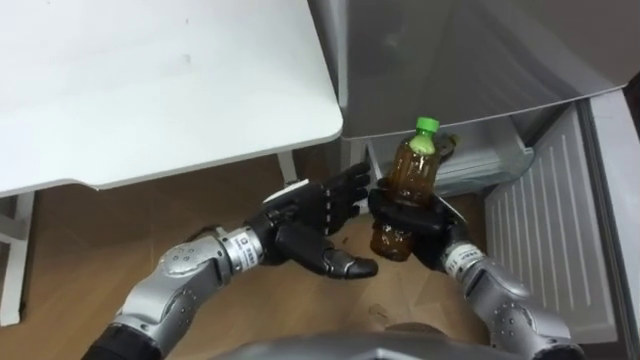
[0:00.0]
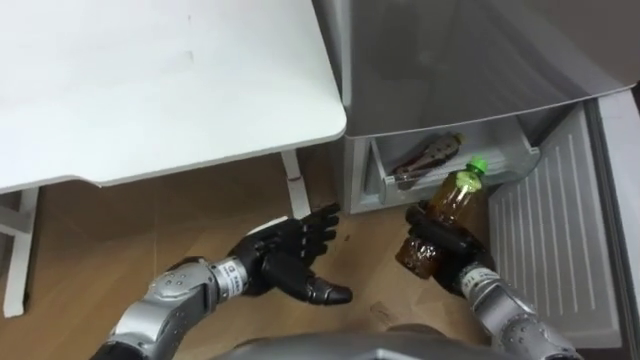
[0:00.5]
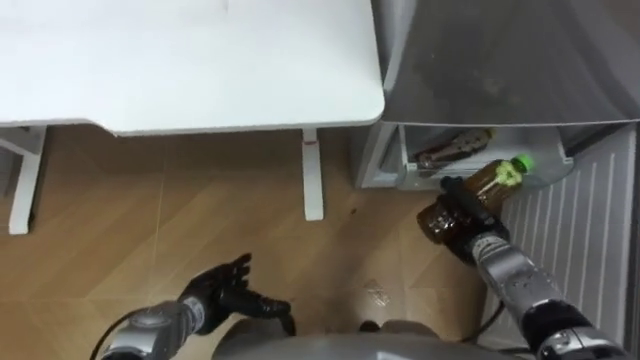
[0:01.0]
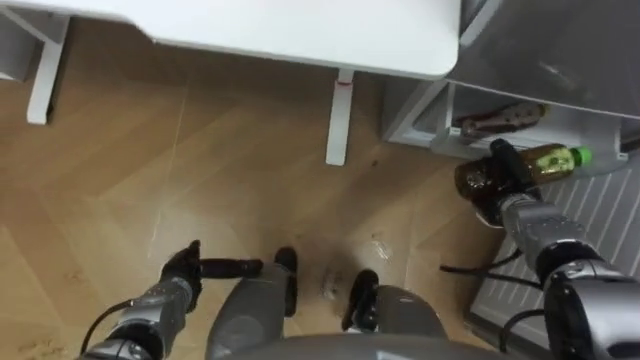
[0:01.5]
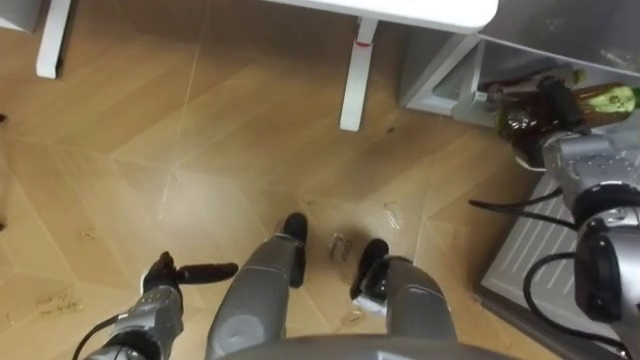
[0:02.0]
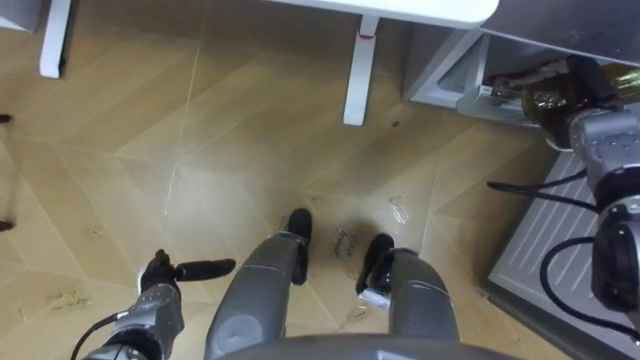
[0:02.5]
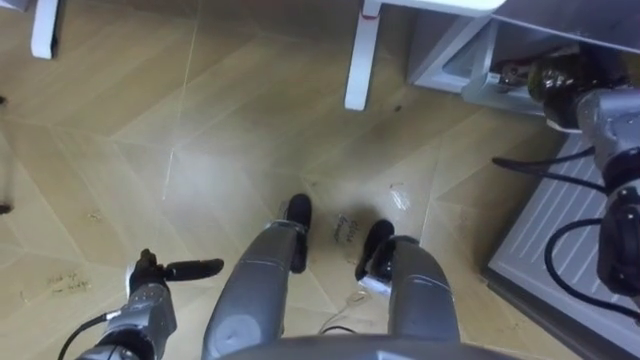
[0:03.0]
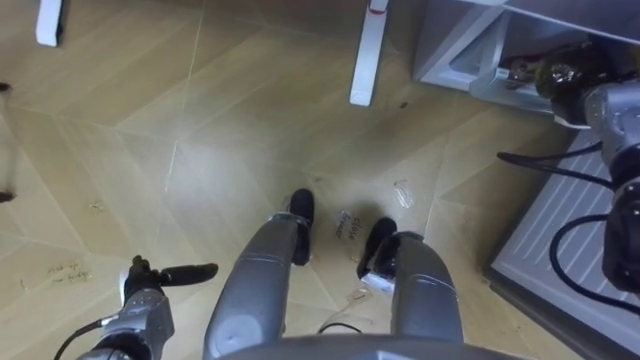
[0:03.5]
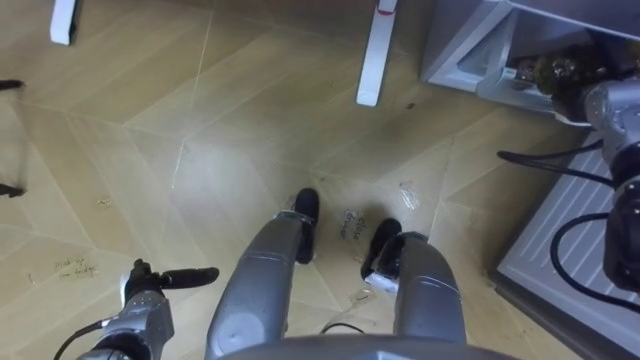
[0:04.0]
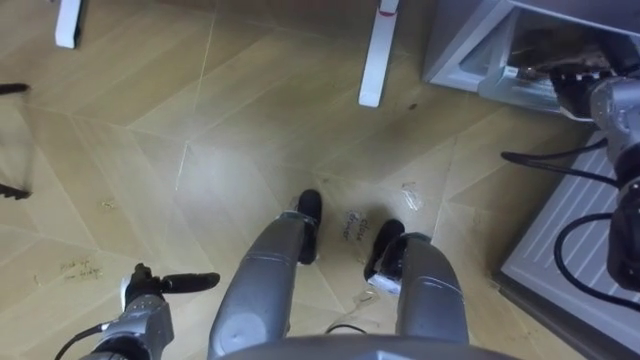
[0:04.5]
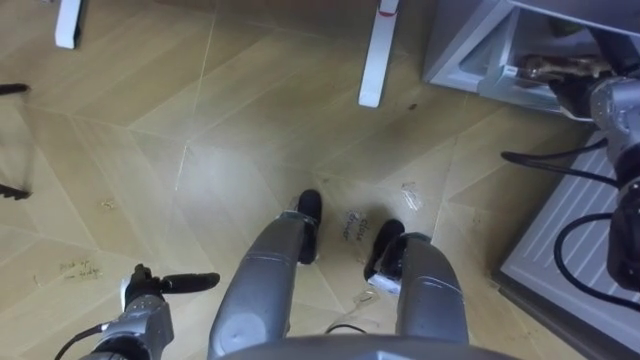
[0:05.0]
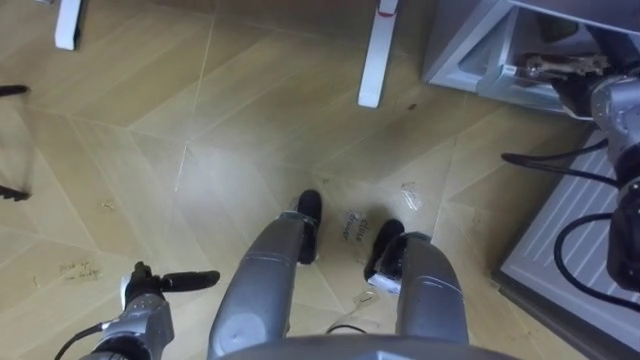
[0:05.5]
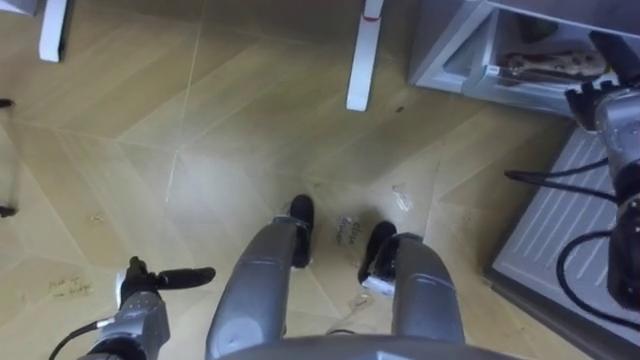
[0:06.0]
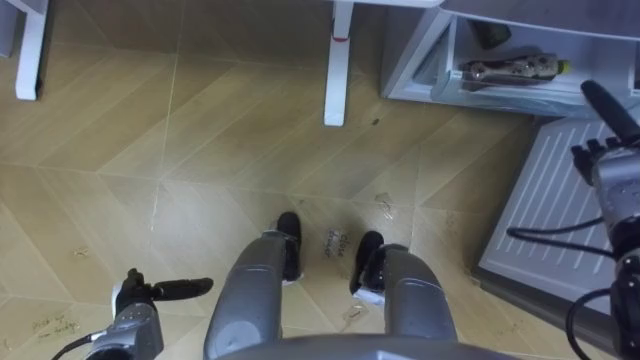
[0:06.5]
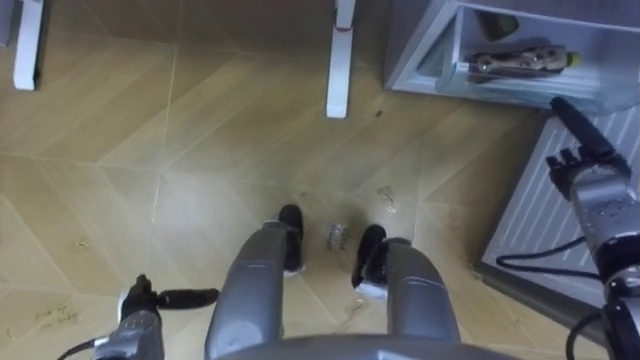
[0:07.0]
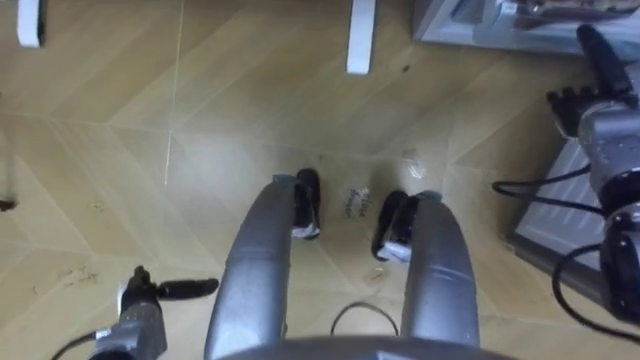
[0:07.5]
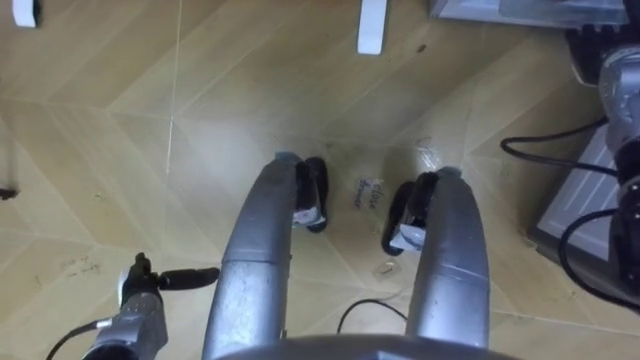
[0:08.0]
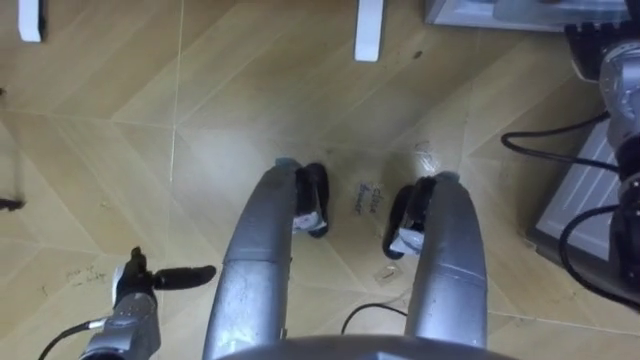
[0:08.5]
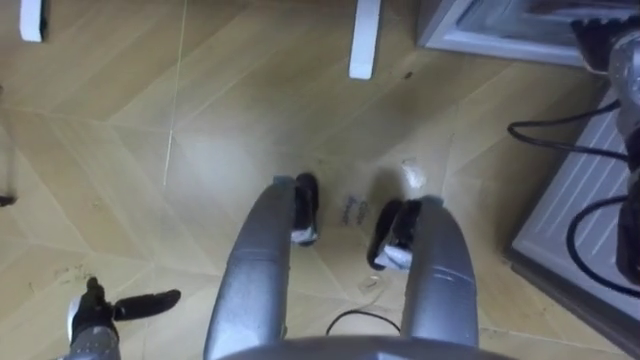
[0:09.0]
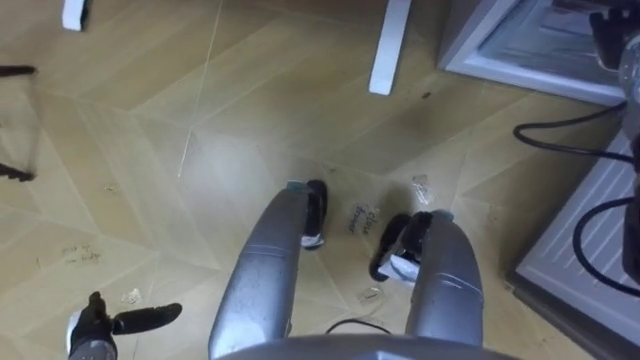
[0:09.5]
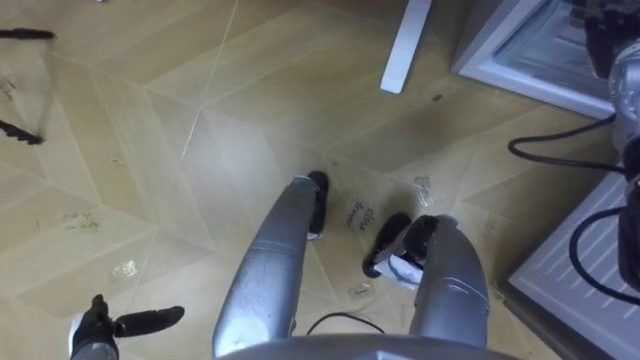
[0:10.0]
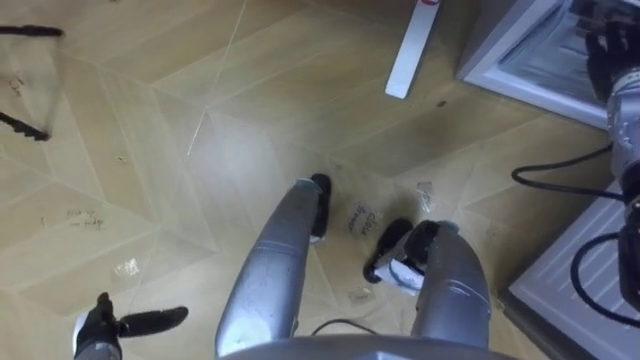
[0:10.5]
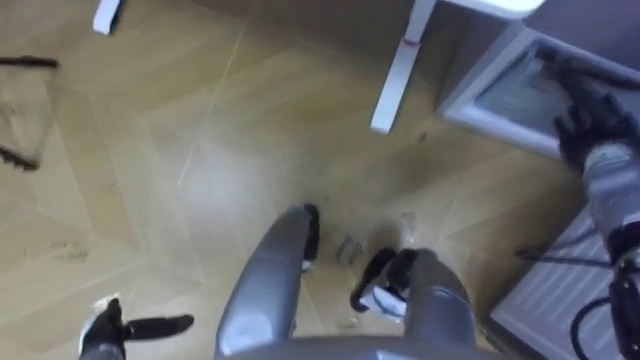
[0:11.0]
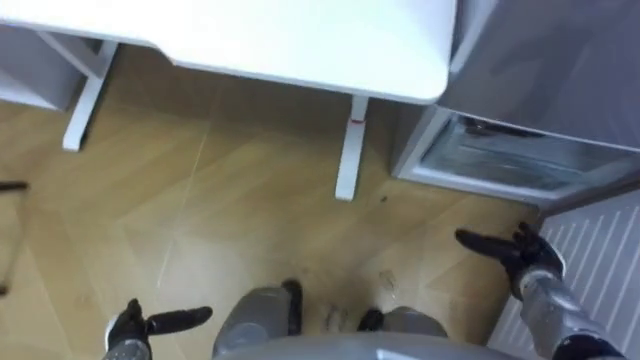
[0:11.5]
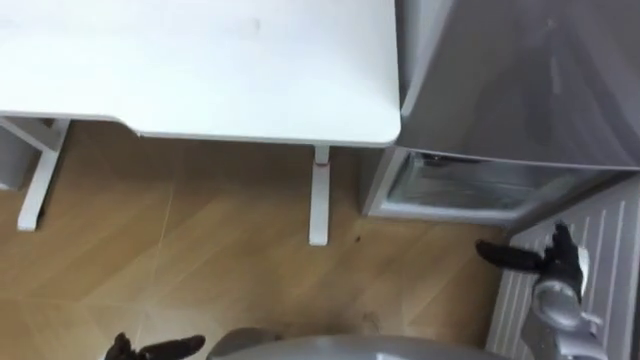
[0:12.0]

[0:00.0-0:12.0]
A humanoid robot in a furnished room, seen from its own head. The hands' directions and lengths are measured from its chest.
Task of the whole recording: Place the drink on the table on the bottom shelf of the refrigerator, then close the drawer and the refrigerator door.
0:00.0 to 0:02.0: The right hand heads to the right and forward, covering some 20 cm. The left hand goes about 25 cm to the left and downward.
0:02.0 to 0:04.0: The right hand goes approximately 5 cm upward.
0:04.0 to 0:06.0: The right hand opens its fingers.
0:08.0 to 0:10.0: The left hand travels backward by approximately 5 cm.
0:10.0 to 0:12.0: The right hand travels backward and downward by some 30 cm.

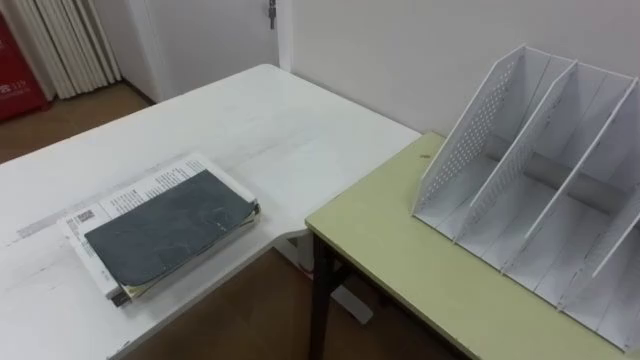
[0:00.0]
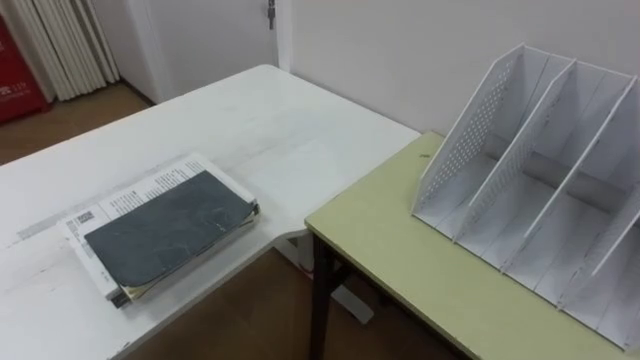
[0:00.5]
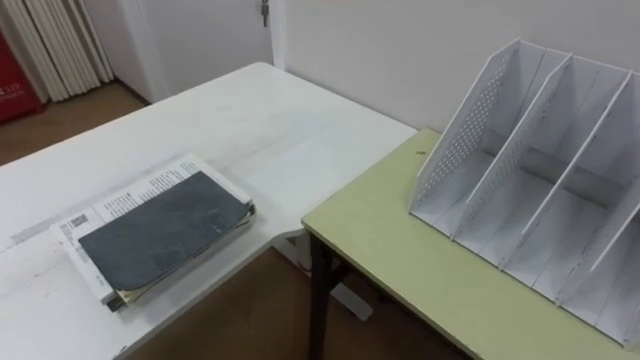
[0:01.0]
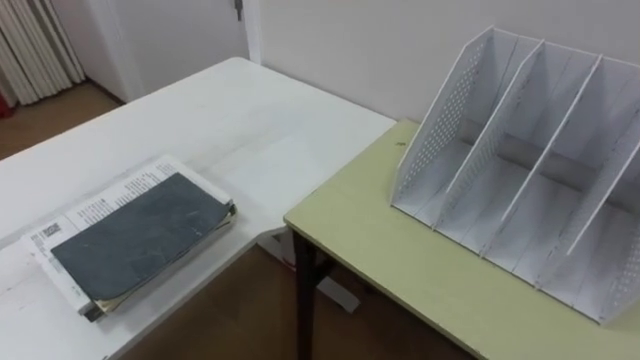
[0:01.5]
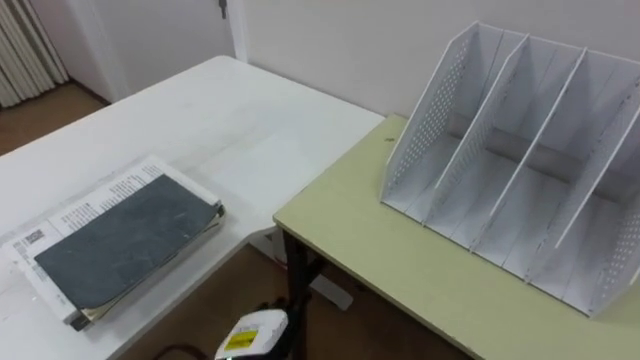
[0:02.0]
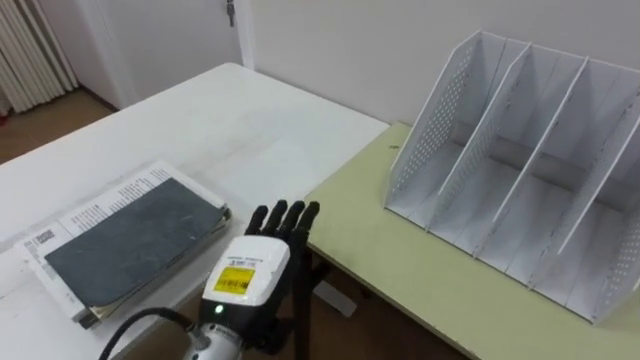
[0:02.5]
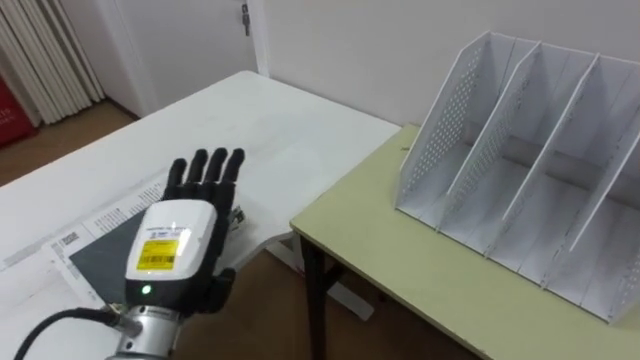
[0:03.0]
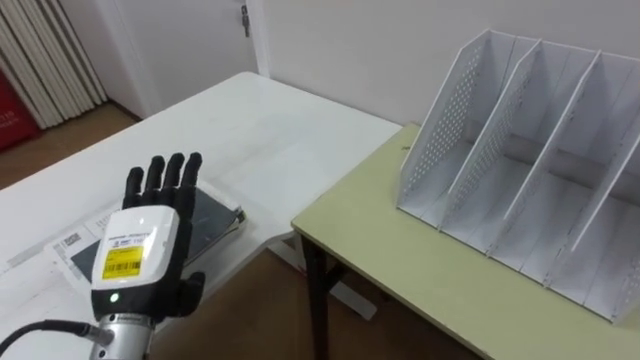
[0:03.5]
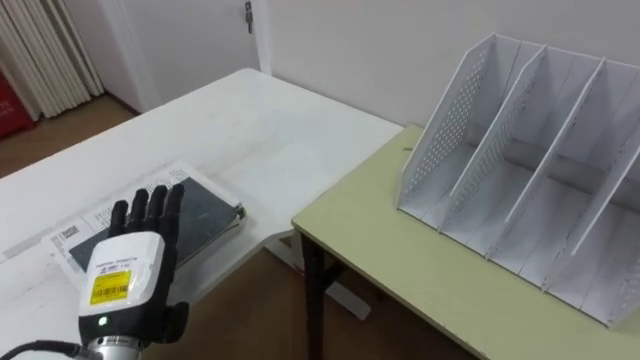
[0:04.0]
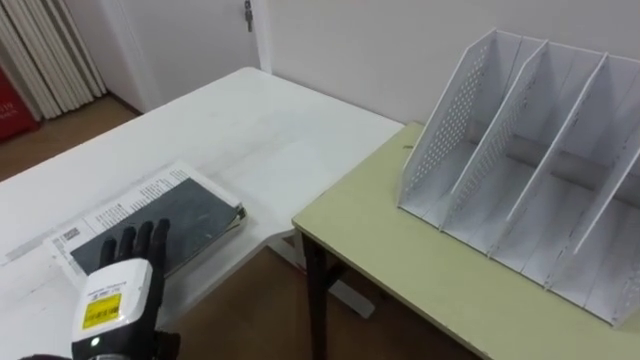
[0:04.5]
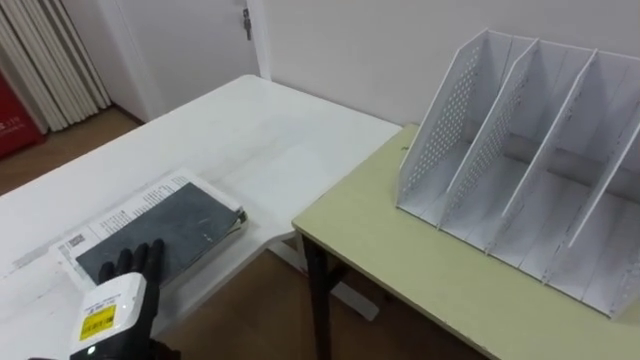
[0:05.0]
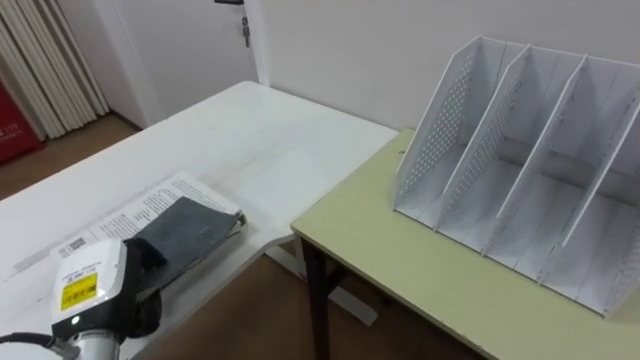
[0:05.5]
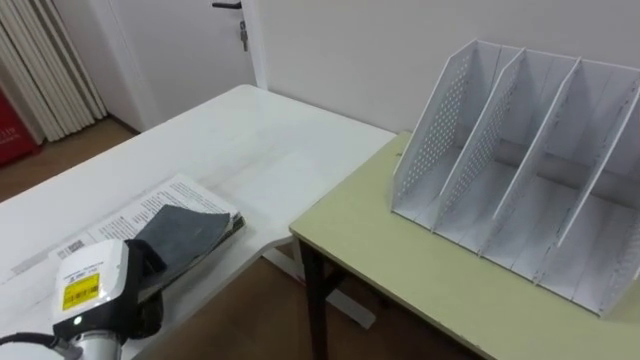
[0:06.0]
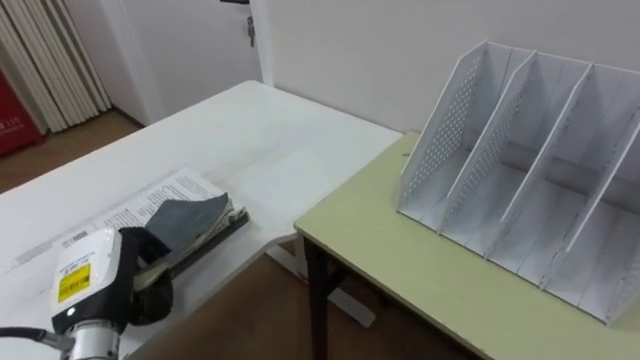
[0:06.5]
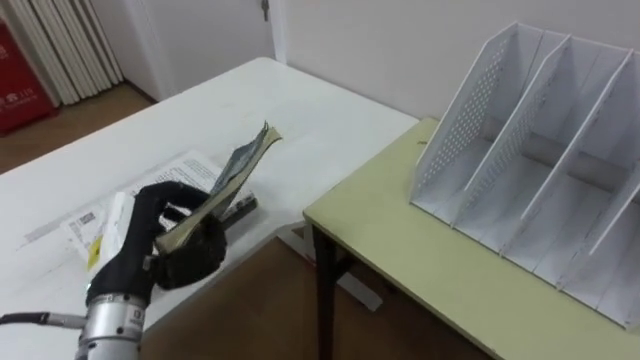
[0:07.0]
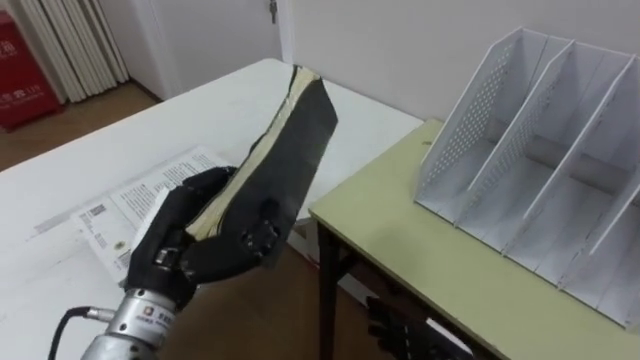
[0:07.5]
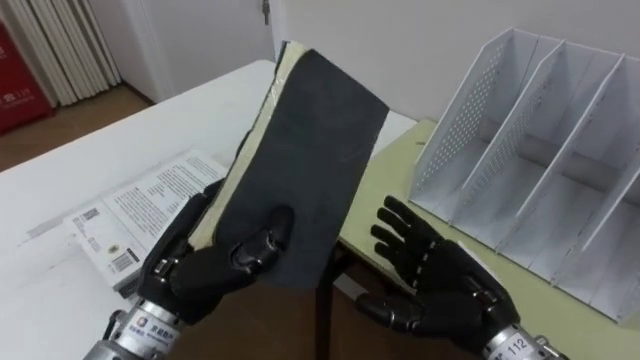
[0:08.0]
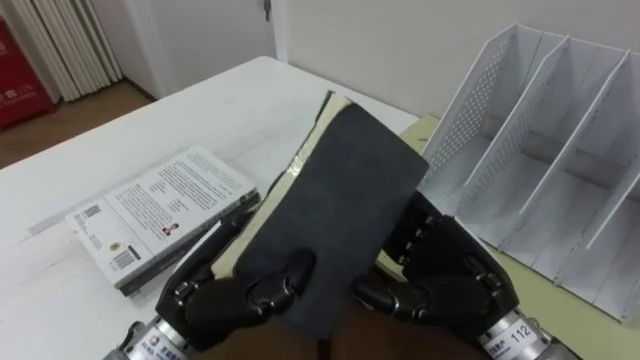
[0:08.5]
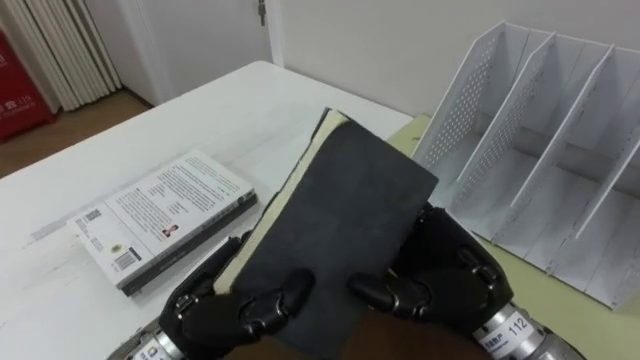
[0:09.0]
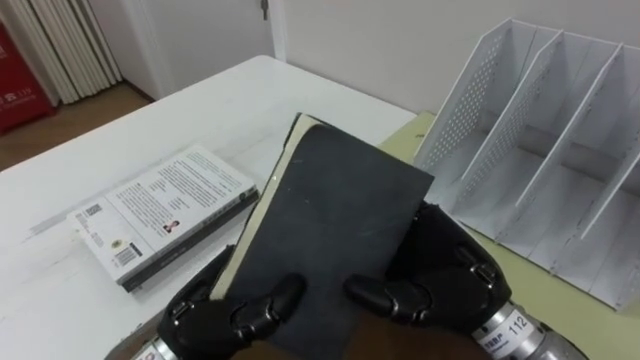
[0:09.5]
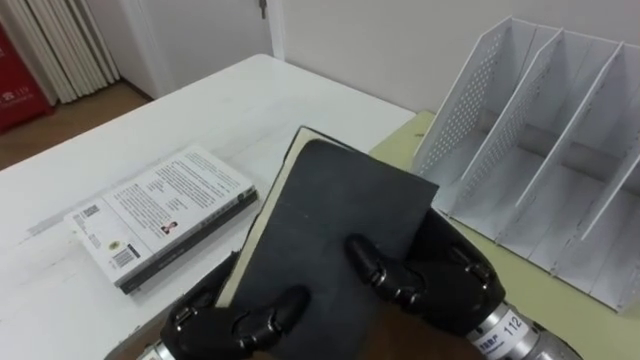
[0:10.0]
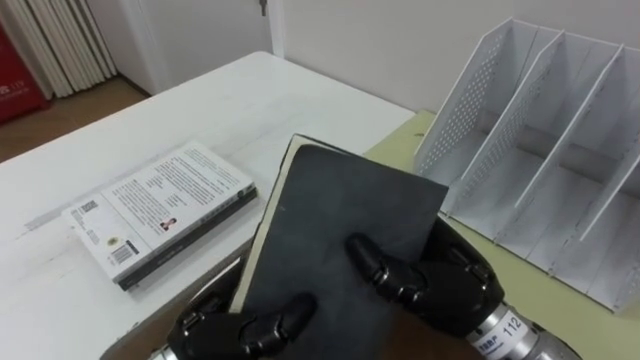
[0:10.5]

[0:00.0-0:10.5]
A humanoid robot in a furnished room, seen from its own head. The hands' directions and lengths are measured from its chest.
Task of the whole recording: Put the books on the table onto the bookshelf.
0:02.0 to 0:04.0: The left hand heads to the left and upward, covering about 20 cm.
0:04.0 to 0:06.5: The left hand closes its fingers.
0:06.5 to 0:08.5: The left hand shifts approximately 15 cm to the right.
0:08.5 to 0:10.5: The right hand closes.
